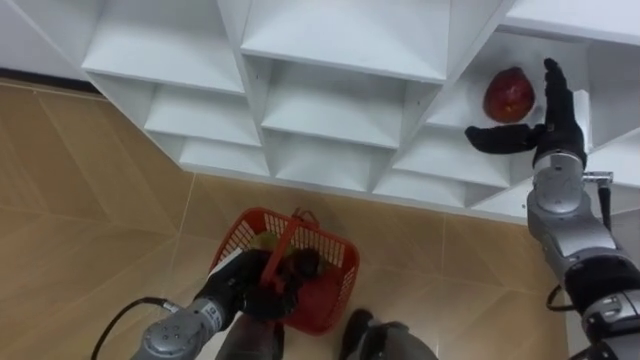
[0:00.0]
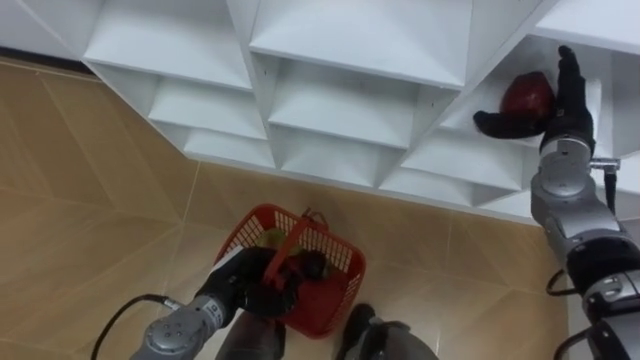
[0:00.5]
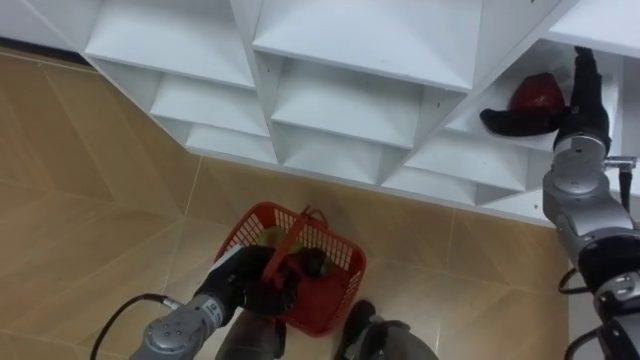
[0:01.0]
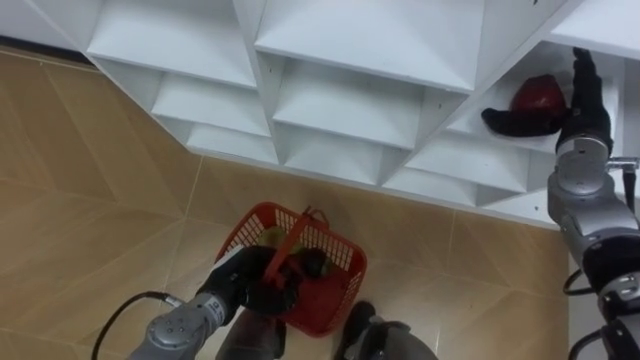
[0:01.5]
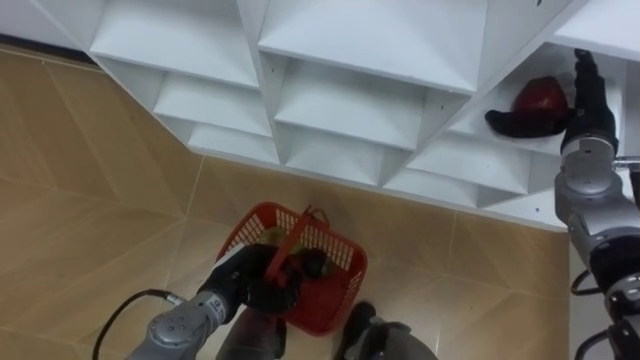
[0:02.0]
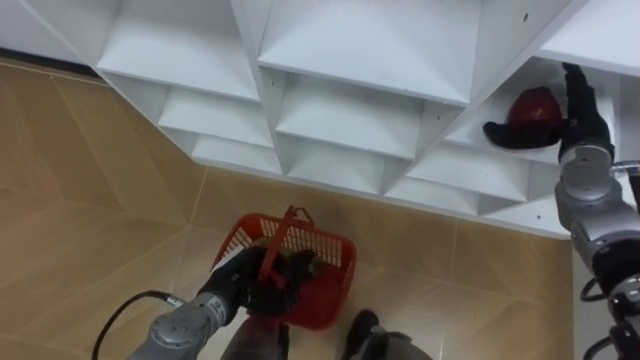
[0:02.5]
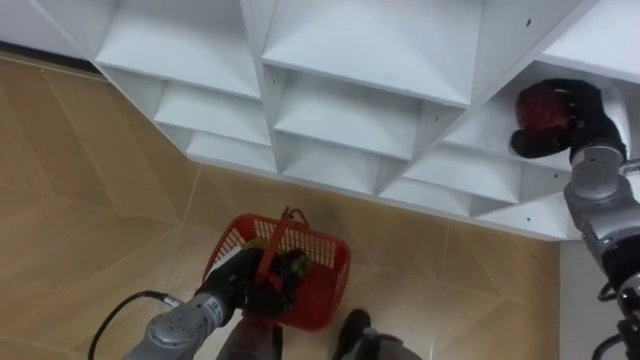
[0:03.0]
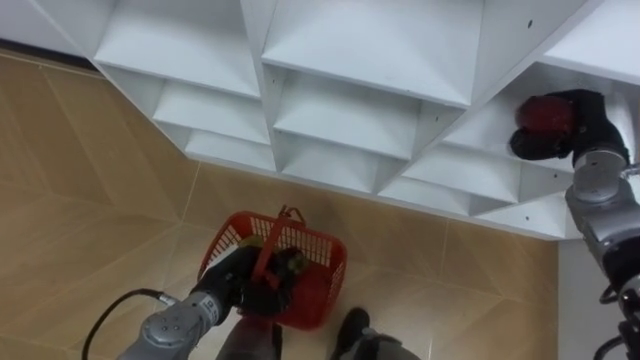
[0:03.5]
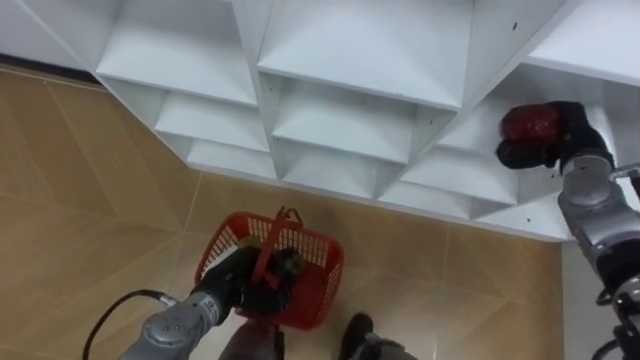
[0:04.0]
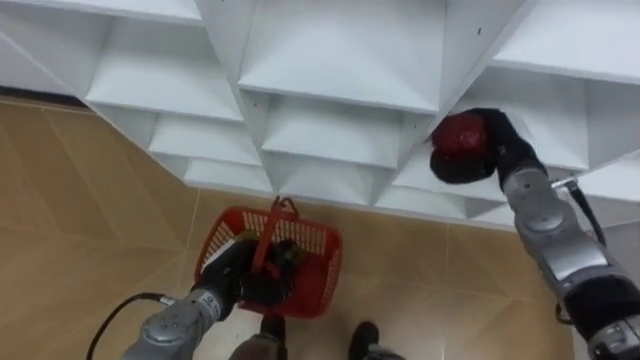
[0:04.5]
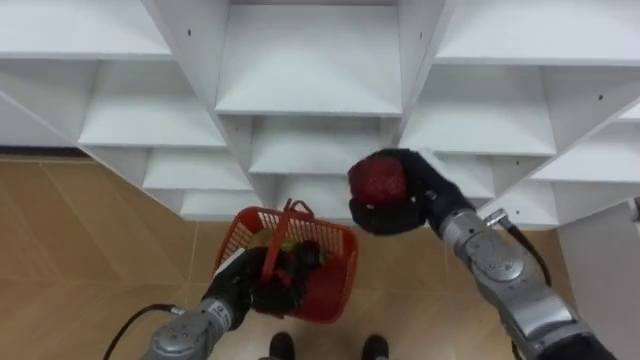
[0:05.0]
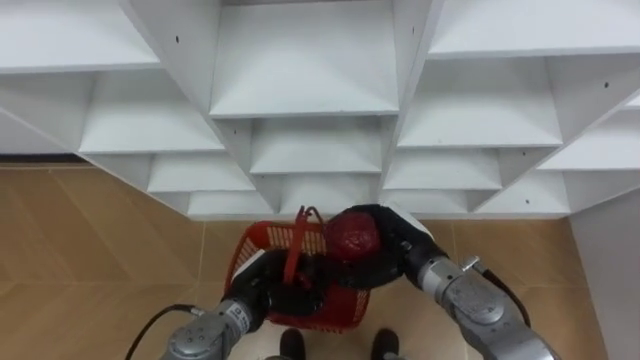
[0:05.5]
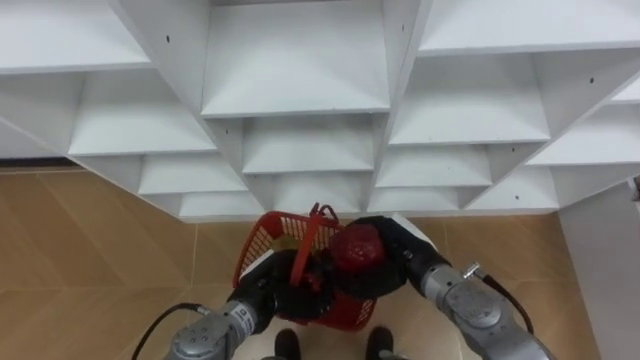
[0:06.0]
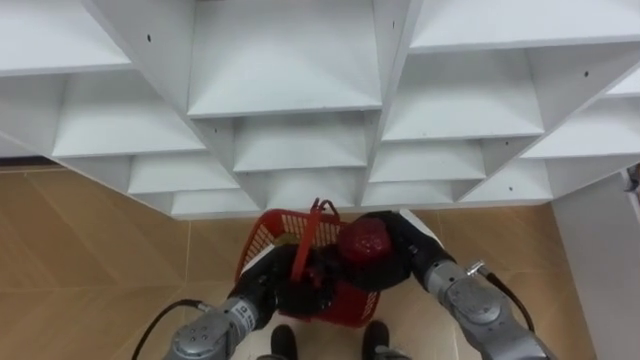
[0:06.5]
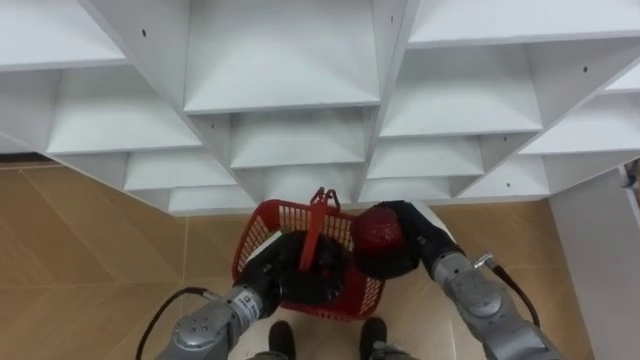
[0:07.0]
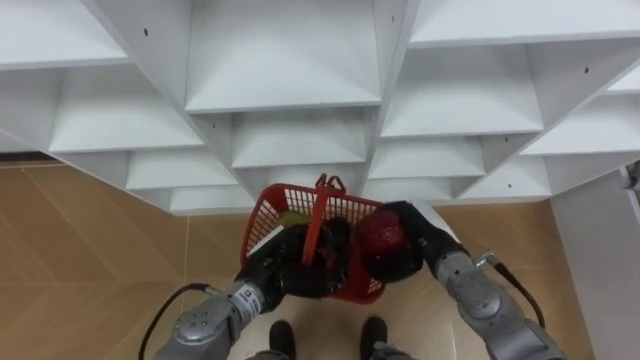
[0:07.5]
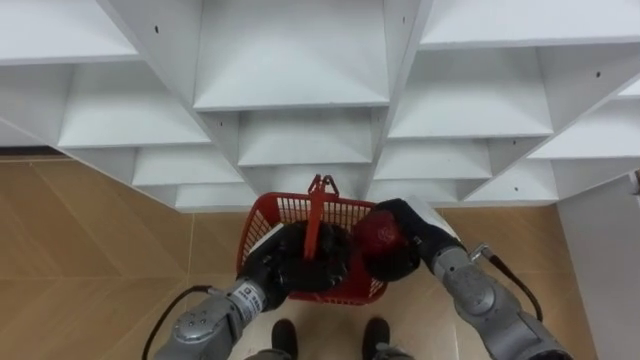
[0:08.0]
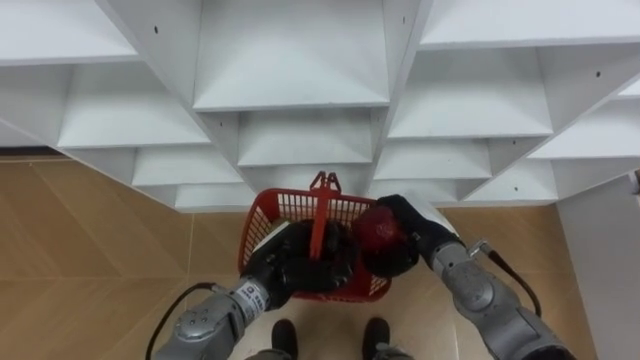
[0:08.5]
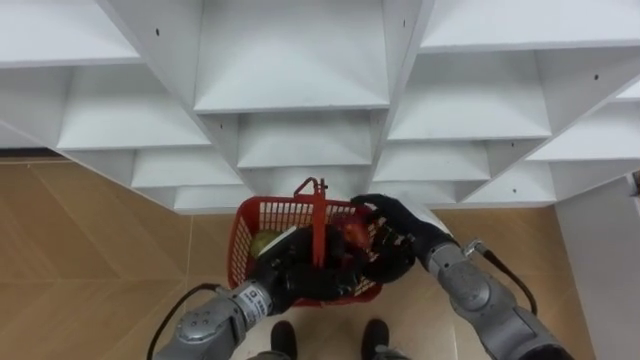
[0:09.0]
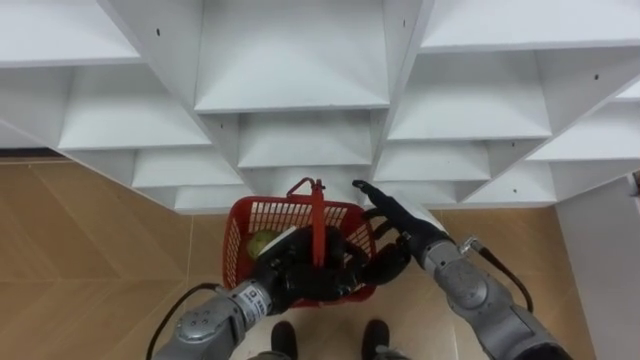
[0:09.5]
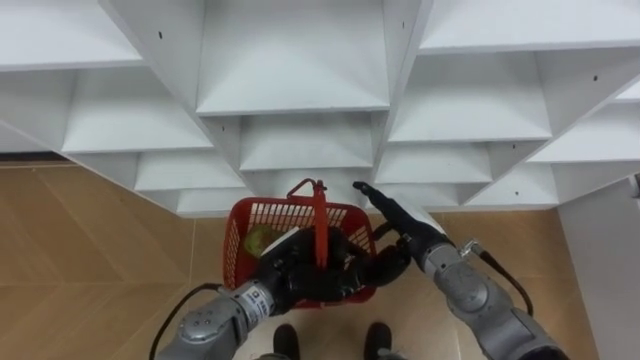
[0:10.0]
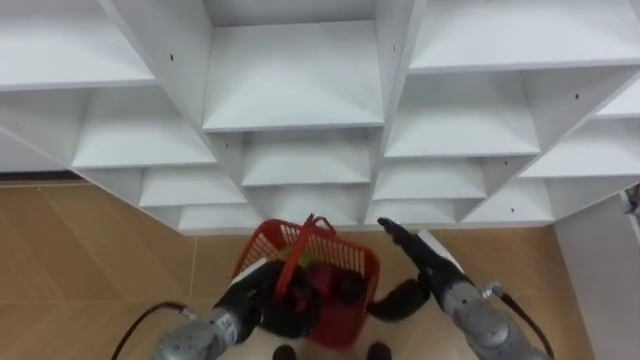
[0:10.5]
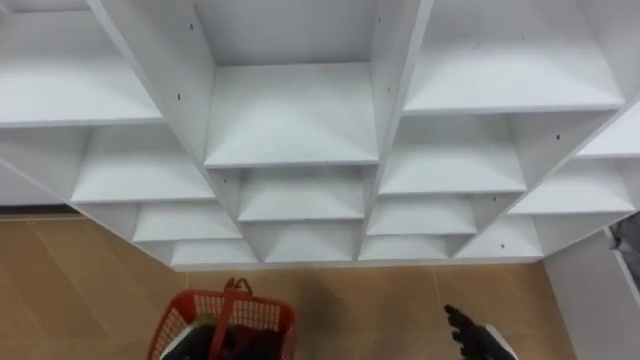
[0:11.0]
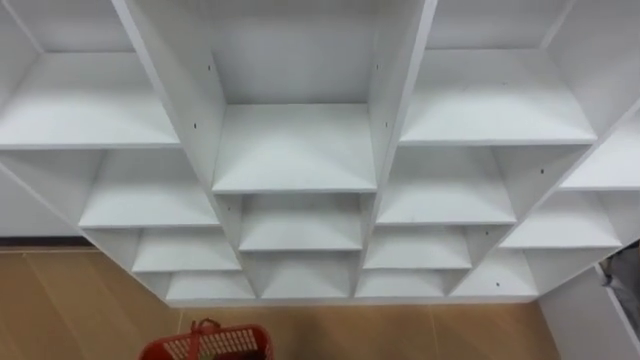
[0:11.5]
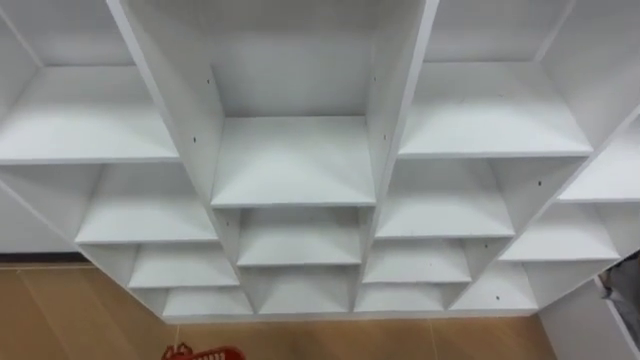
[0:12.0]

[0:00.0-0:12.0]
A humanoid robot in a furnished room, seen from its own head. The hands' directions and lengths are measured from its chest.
Task of the whole recording: Hold the basket and collect the fruits from 3 different cells of the closet into it.
0:02.0 to 0:04.0: The right hand closes its fingers.
0:04.0 to 0:06.0: The left hand heads to the right, covering approximately 5 cm; the right hand shifts some 25 cm to the left, backward and downward.
0:08.0 to 0:10.0: The right hand opens up.

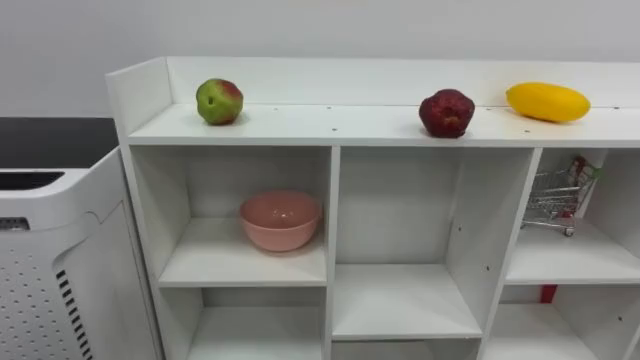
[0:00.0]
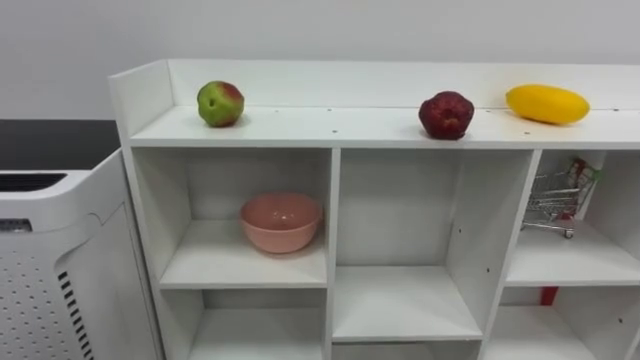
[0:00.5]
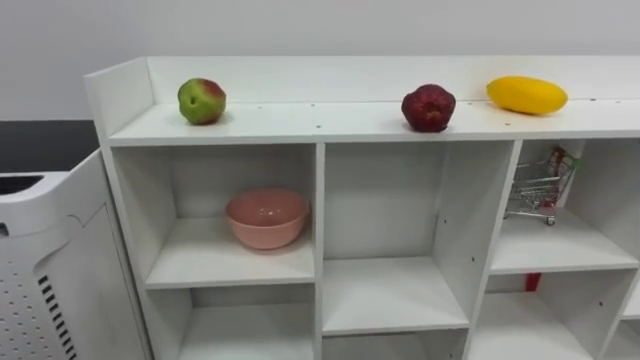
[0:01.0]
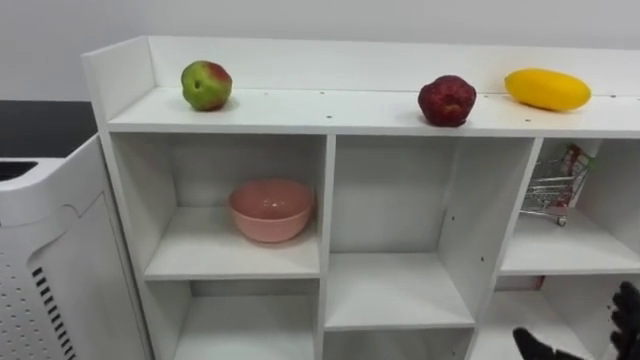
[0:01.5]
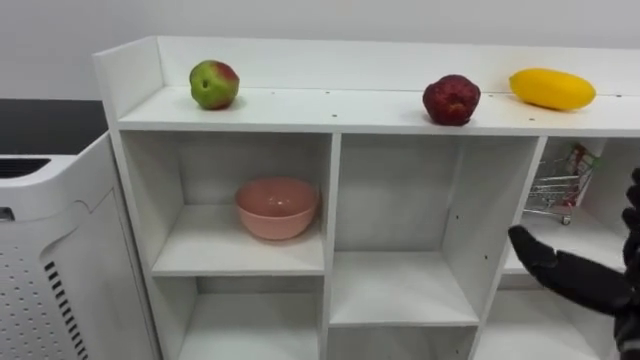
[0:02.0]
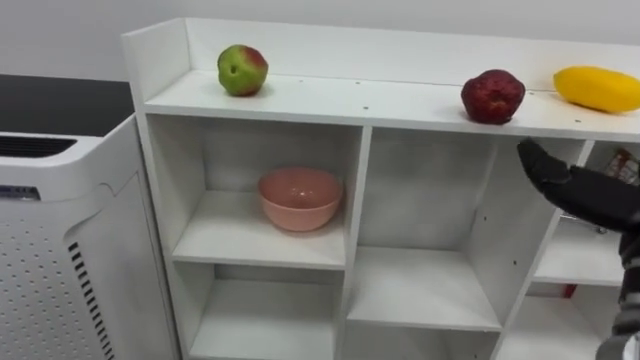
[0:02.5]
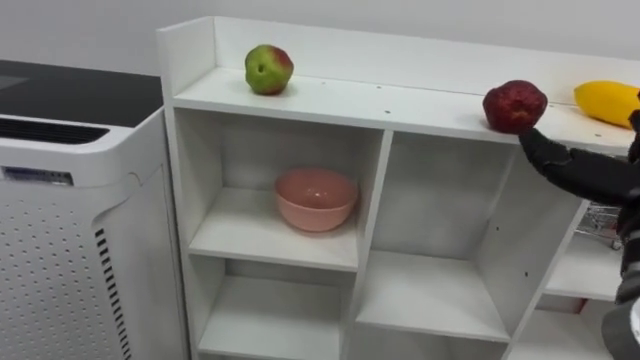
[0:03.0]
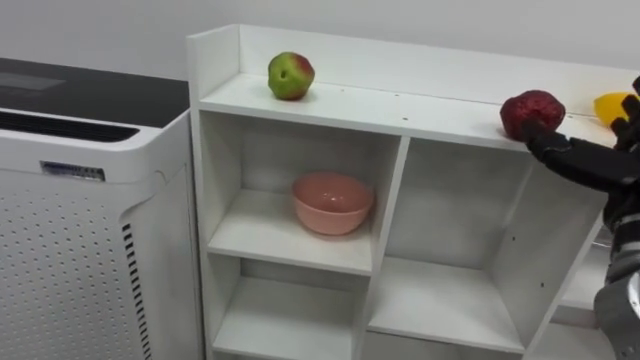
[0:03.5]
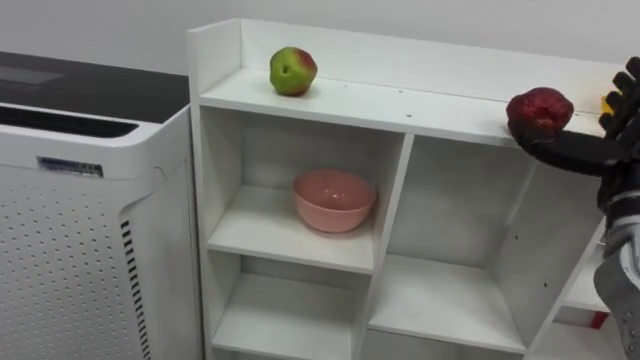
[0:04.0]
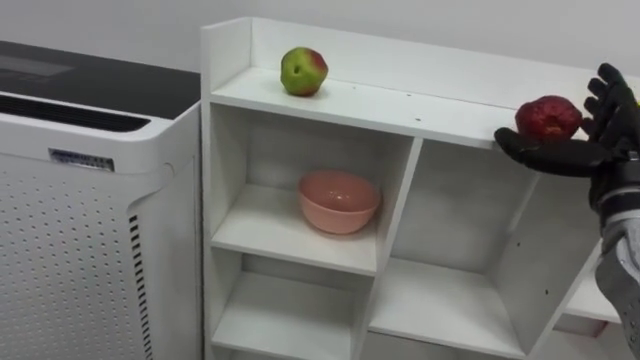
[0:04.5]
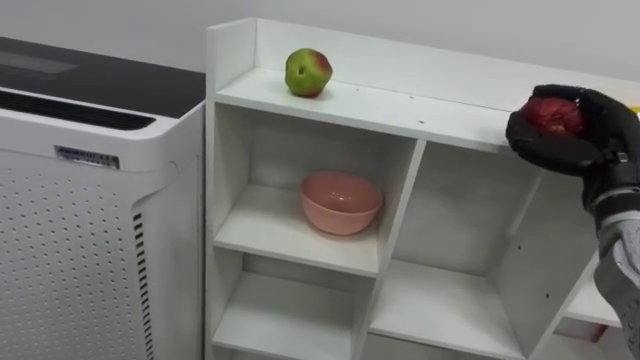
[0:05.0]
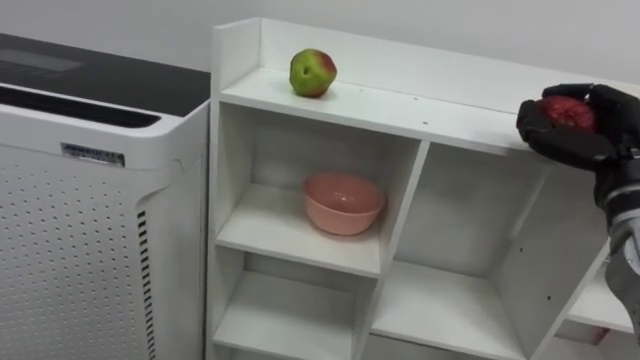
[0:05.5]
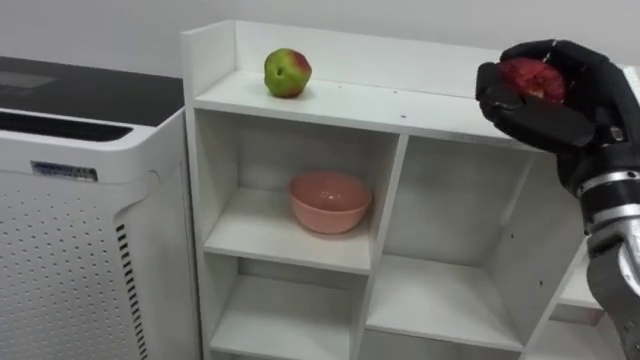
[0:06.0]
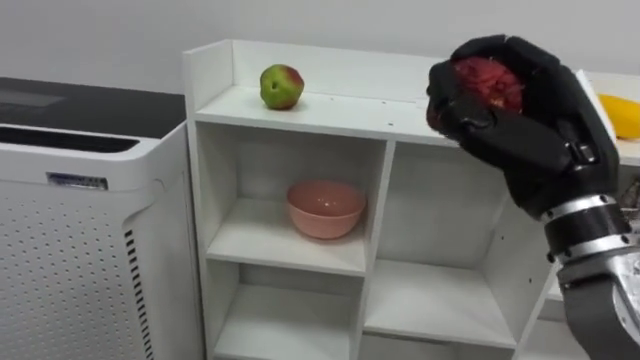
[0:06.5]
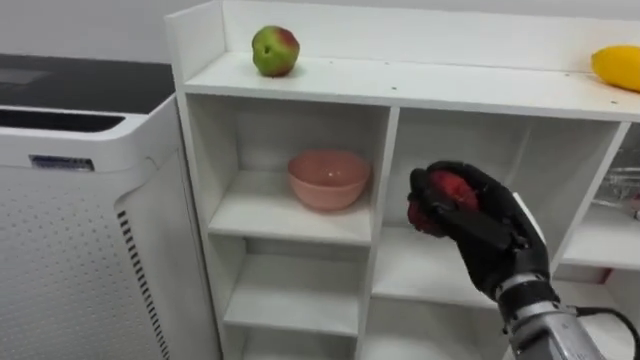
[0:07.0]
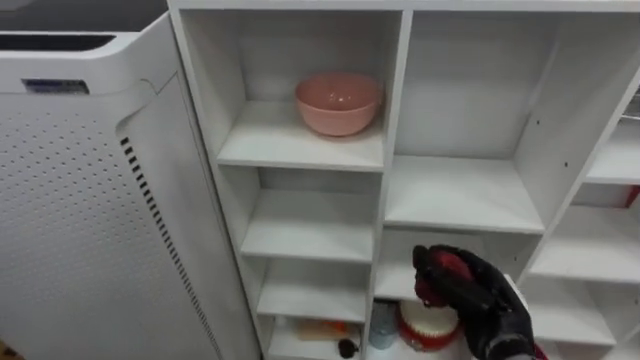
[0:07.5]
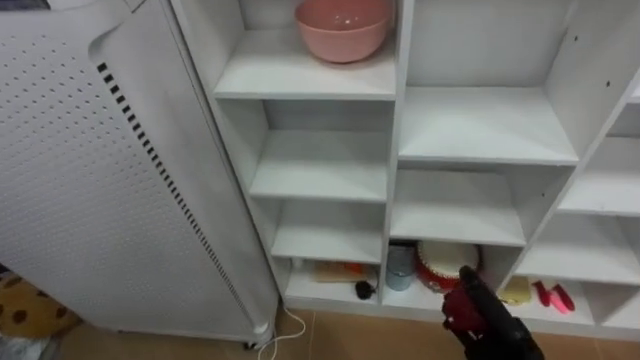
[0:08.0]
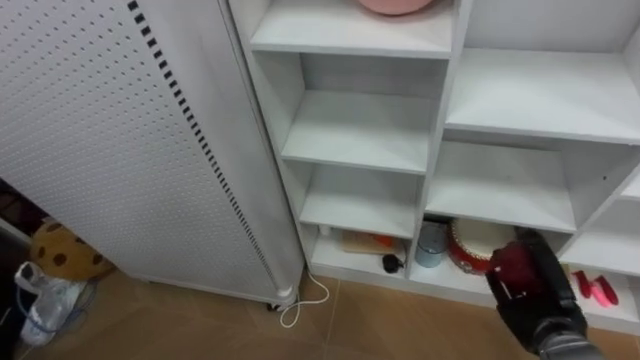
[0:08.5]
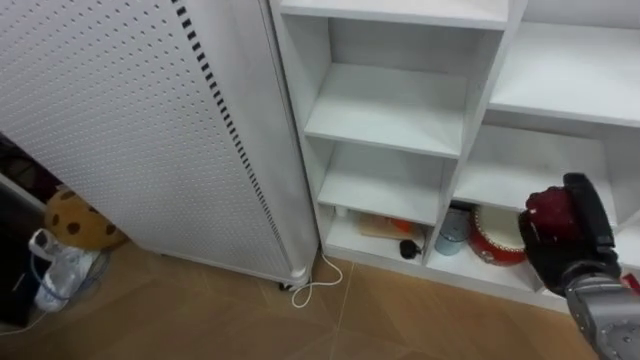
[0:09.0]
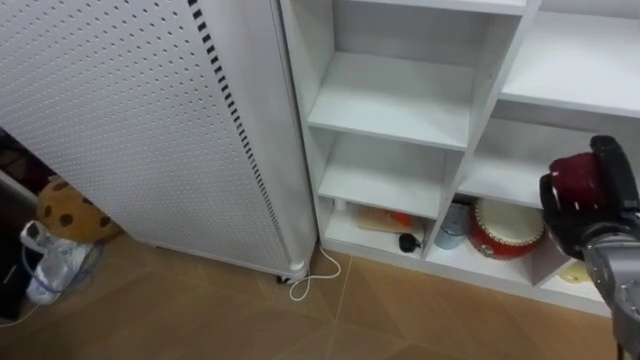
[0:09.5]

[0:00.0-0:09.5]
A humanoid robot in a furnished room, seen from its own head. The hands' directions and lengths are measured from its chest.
Task of the whole recording: Put the apple in the cell in the second column from the left and the second row from the top.
0:04.0 to 0:05.5: The right hand closes its fingers.
0:05.5 to 0:07.5: The right hand is displaced downward and to the left by roughly 20 cm.
0:07.5 to 0:09.5: The right hand heads to the right, upward and forward, covering some 15 cm.
